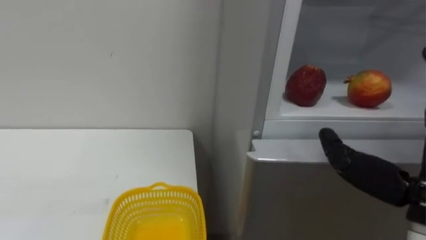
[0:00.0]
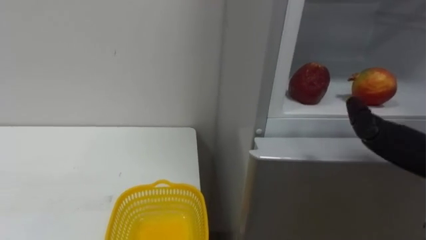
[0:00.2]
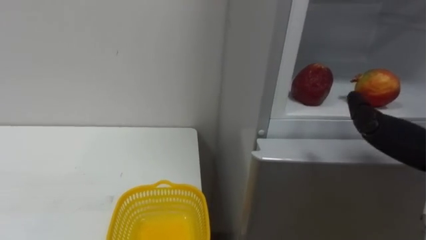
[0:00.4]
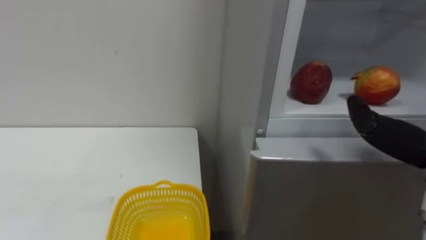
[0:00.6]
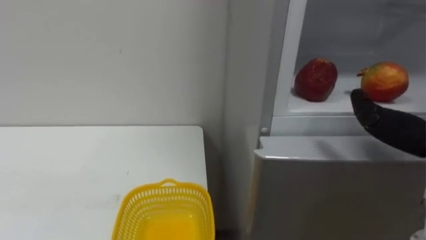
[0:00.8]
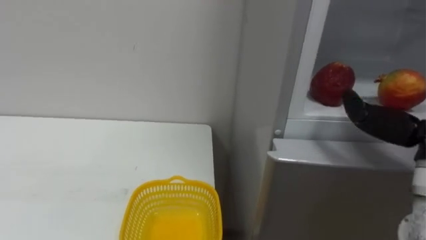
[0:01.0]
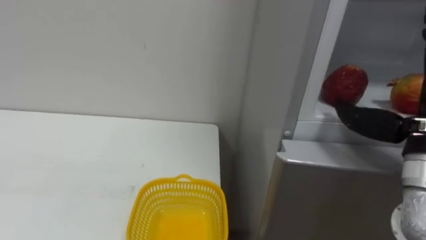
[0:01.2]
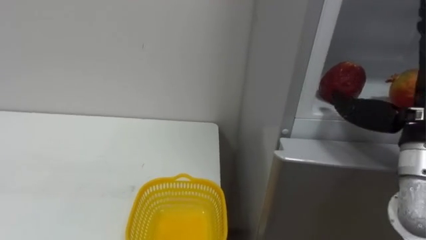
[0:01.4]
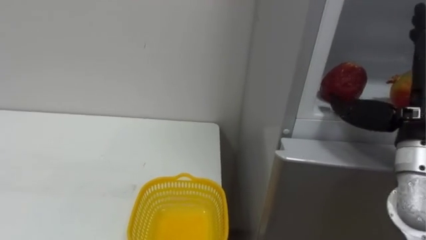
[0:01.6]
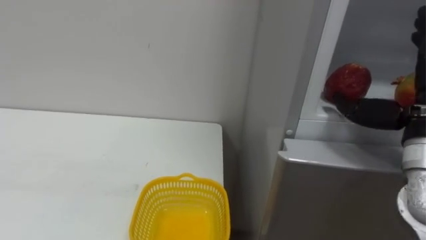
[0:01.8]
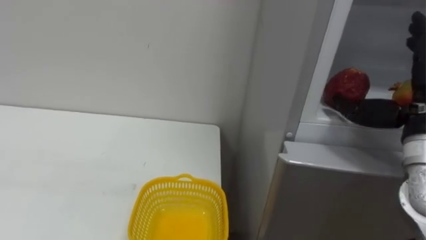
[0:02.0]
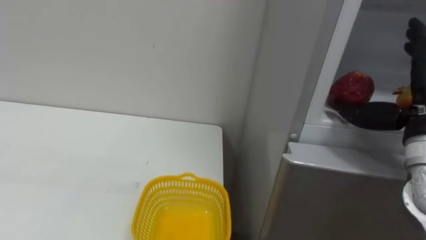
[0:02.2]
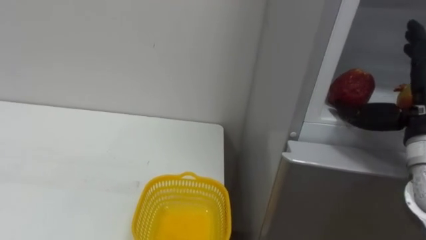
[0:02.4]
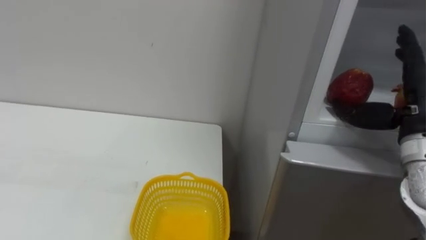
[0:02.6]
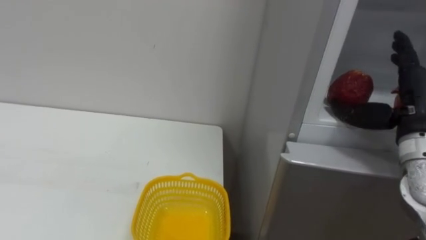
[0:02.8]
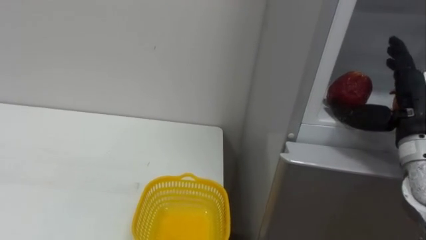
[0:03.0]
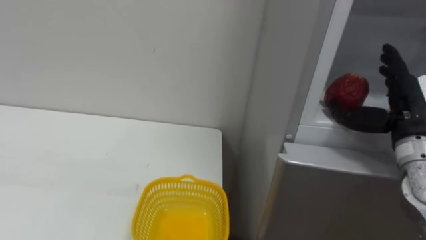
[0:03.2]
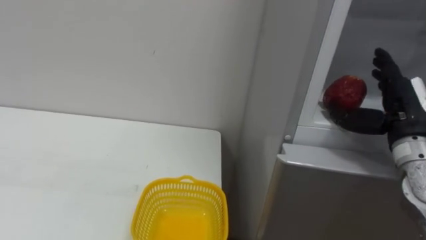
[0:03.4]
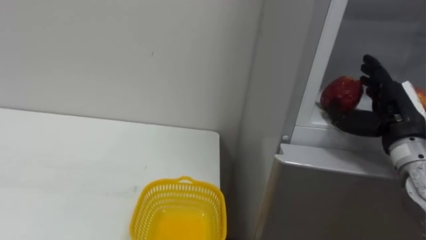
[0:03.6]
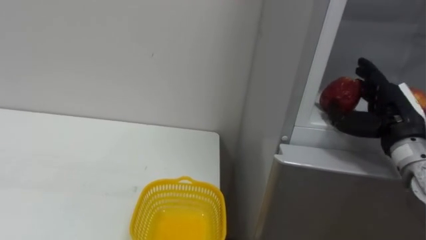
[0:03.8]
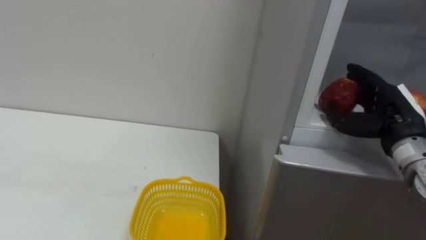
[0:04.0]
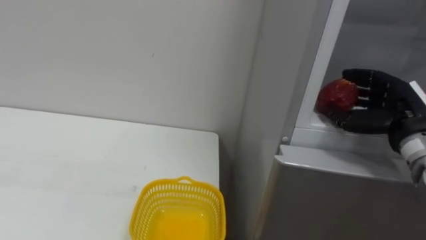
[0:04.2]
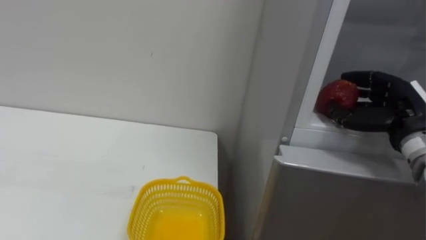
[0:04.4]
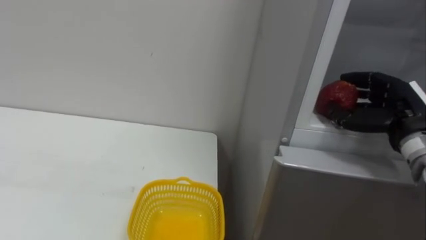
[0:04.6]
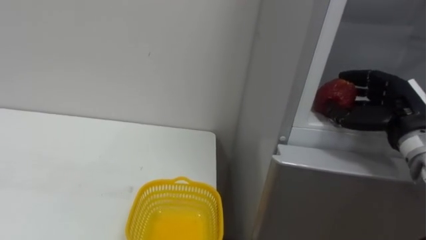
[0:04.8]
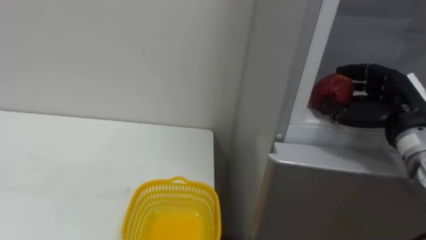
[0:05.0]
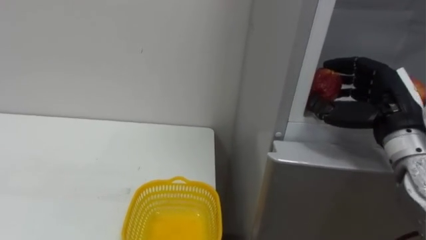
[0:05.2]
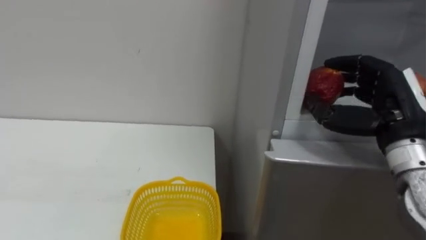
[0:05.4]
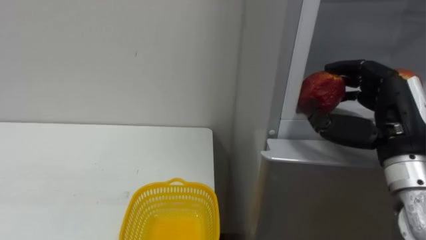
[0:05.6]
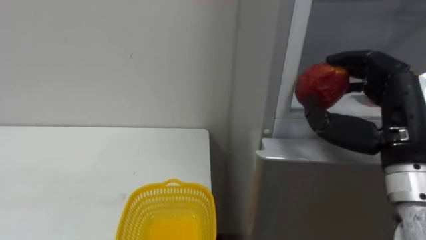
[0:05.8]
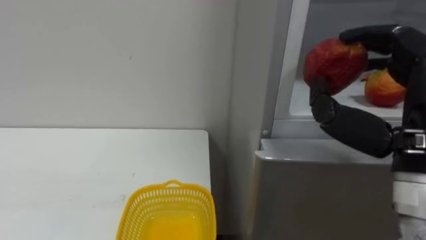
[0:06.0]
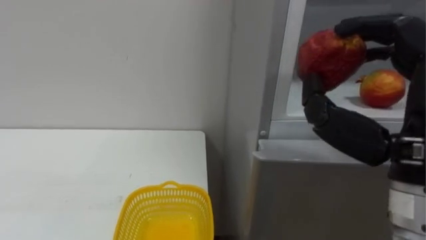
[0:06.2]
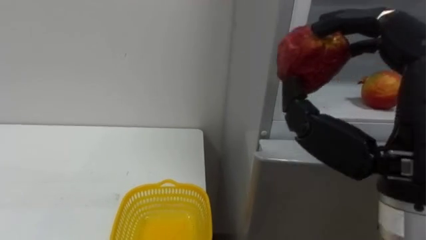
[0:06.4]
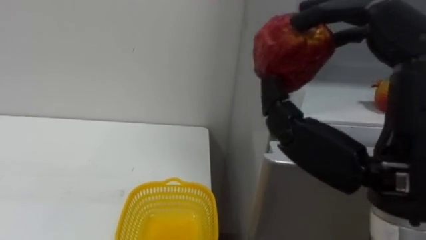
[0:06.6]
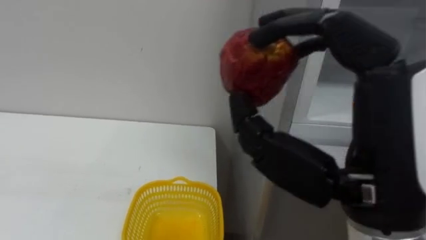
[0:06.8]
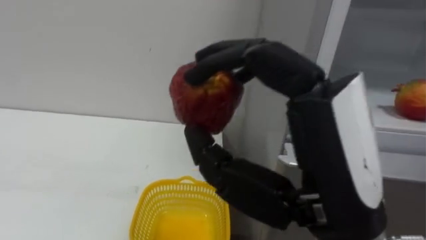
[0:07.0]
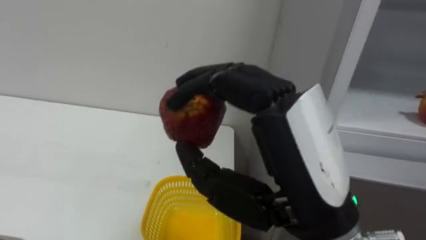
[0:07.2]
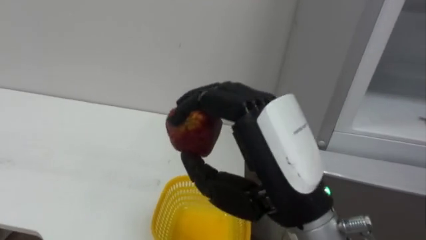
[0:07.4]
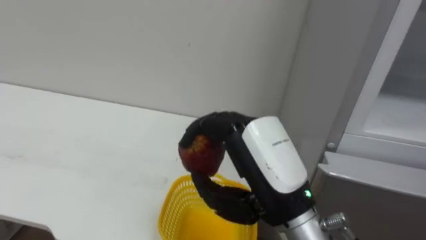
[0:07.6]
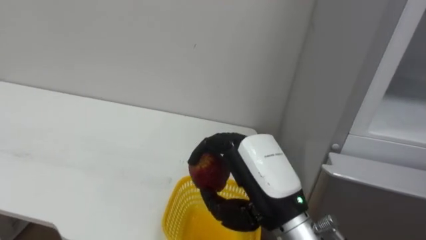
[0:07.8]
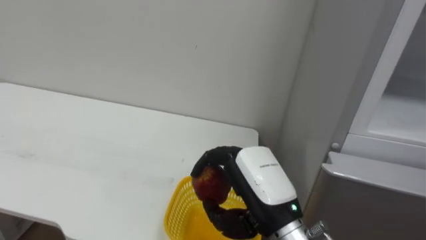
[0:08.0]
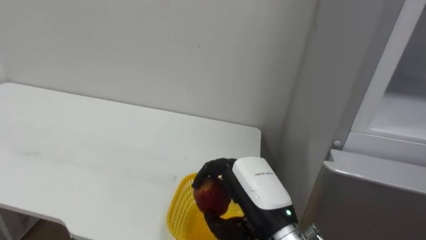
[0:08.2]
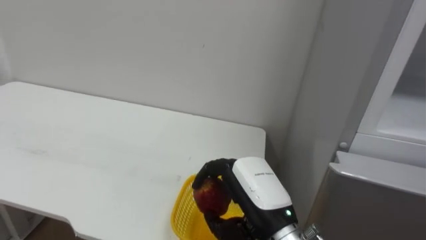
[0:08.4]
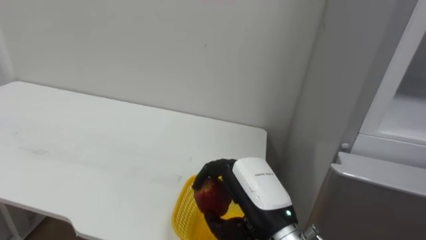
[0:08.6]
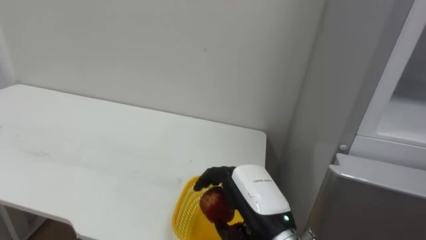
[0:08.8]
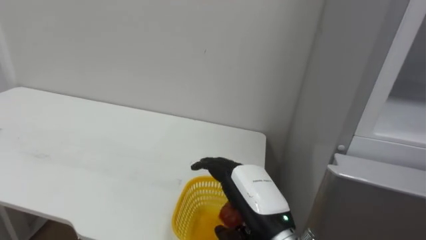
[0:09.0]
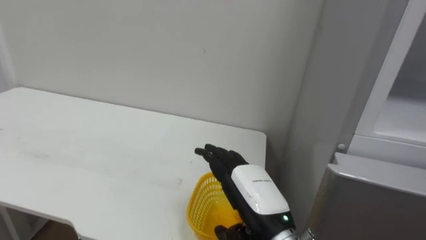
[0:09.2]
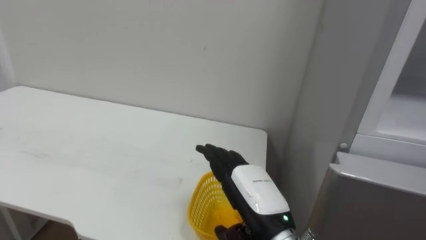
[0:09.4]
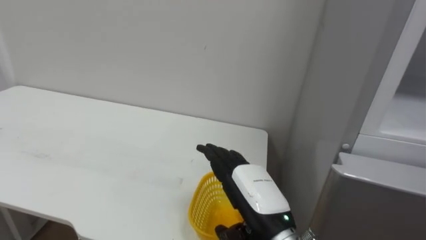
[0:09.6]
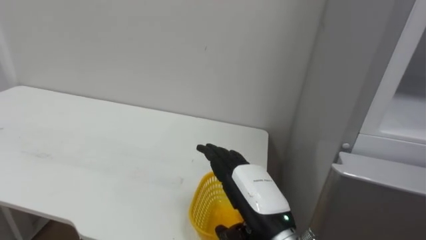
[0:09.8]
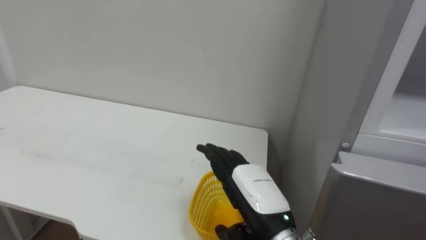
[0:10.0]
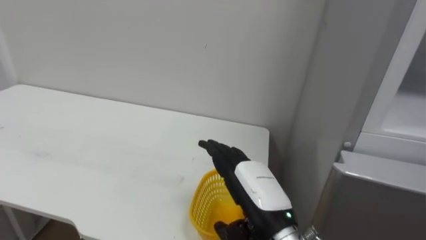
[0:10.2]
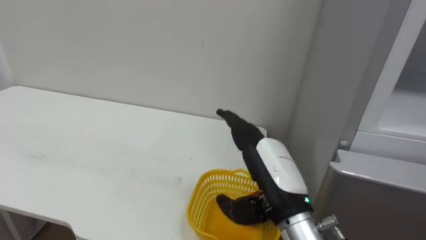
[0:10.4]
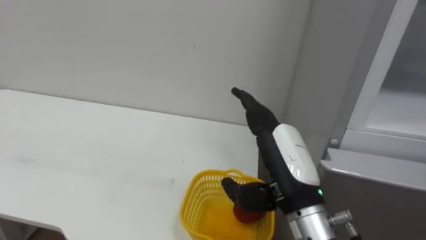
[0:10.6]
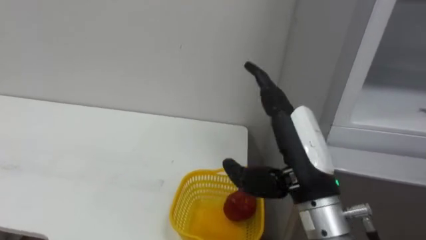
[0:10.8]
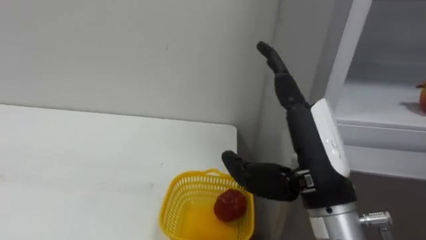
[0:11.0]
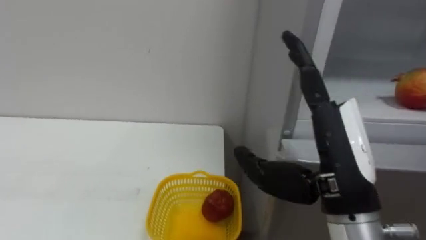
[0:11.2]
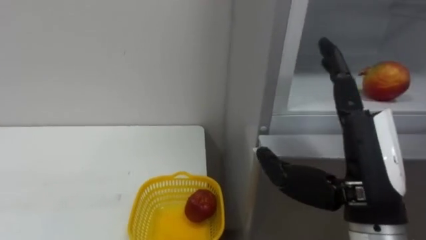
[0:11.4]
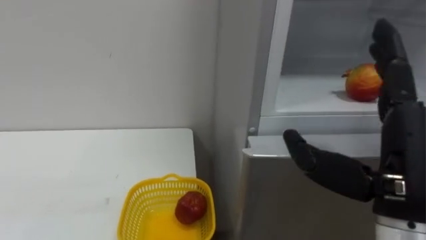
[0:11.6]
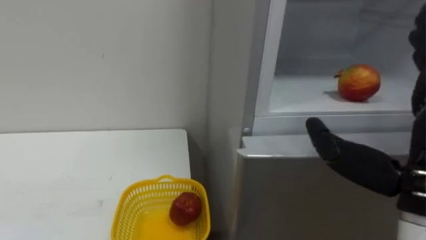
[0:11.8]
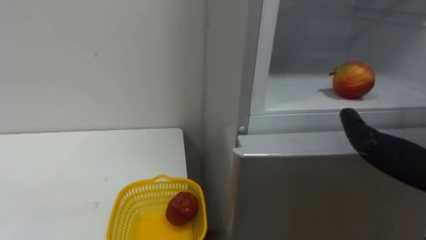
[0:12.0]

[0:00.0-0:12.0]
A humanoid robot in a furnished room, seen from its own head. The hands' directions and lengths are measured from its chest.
Task of the whole recording: Open the refrigerator door, take out the apple and the pomegranate, place them in the fruit basket on the left, and close the refrigerator door.
0:01.6 to 0:03.0: The right hand ends up some 5 cm from where it was.
0:03.0 to 0:04.4: The right hand closes its fingers.
0:04.4 to 0:06.0: The right hand goes some 15 cm backward, upward and to the left.
0:06.0 to 0:07.6: The right hand heads to the left, covering about 15 cm.
0:07.6 to 0:09.0: The right hand goes approximately 10 cm downward, and opens up.

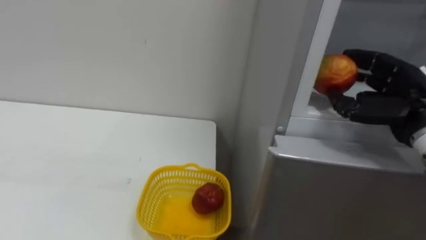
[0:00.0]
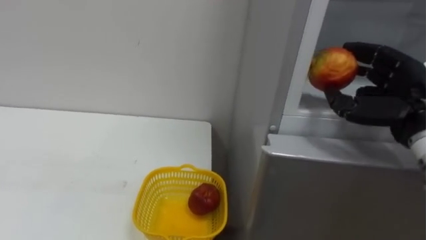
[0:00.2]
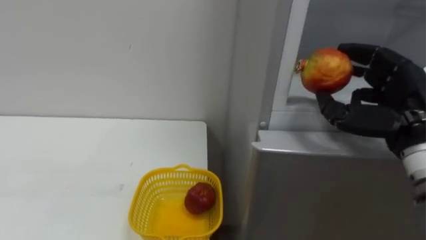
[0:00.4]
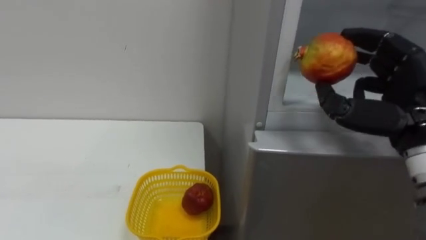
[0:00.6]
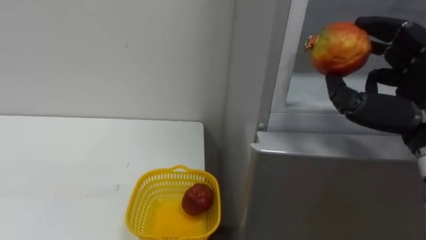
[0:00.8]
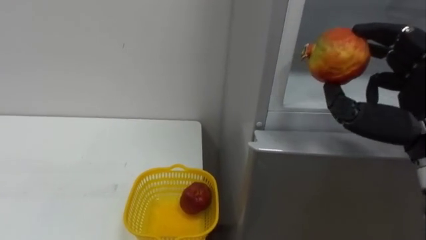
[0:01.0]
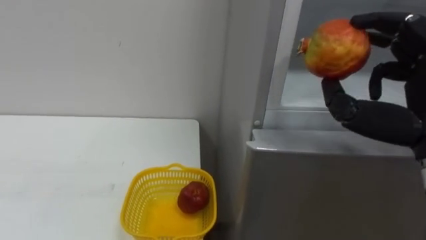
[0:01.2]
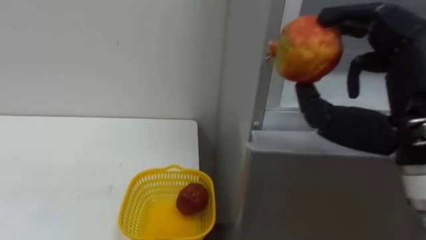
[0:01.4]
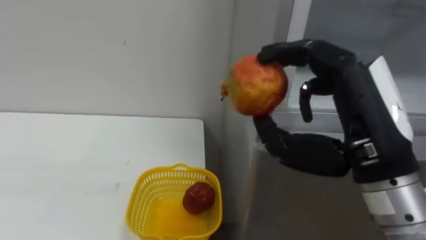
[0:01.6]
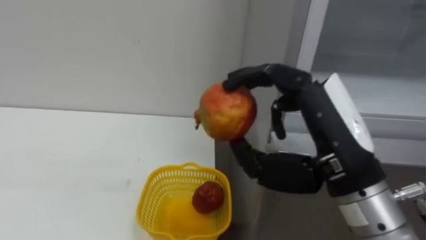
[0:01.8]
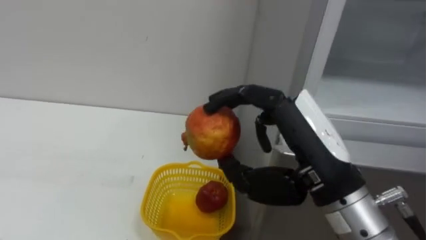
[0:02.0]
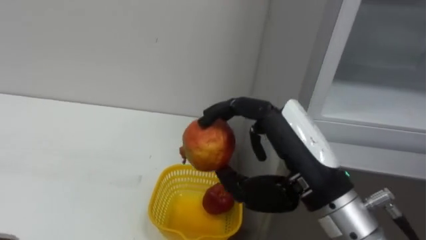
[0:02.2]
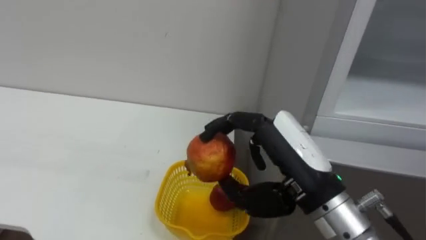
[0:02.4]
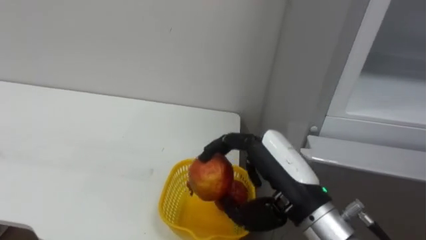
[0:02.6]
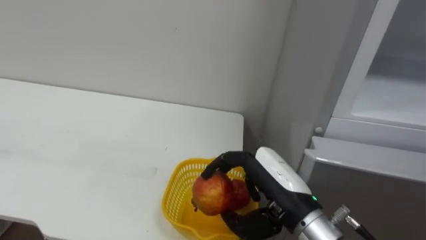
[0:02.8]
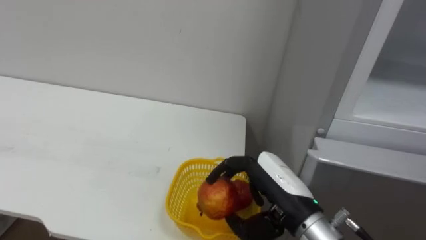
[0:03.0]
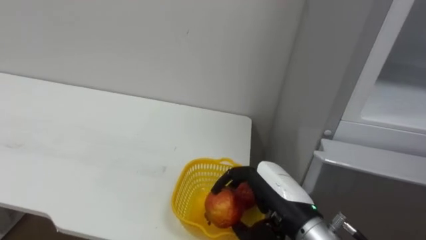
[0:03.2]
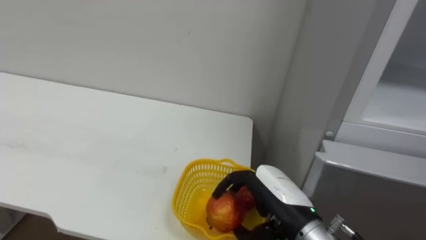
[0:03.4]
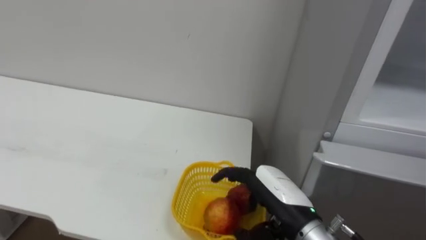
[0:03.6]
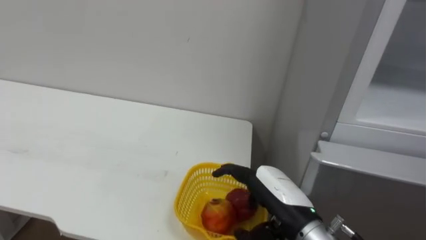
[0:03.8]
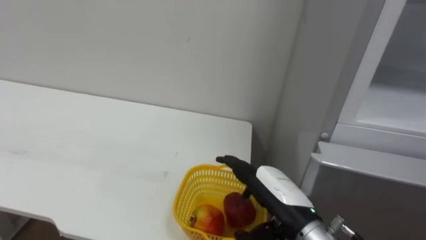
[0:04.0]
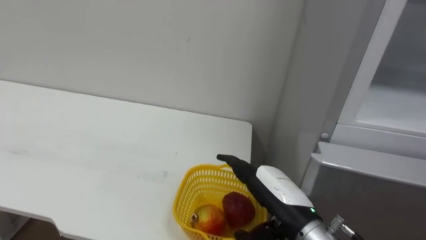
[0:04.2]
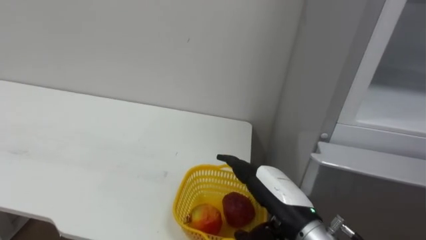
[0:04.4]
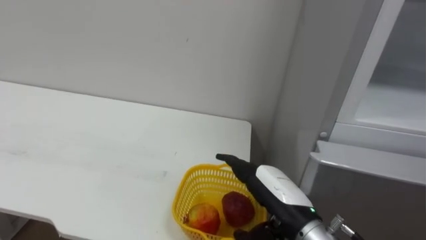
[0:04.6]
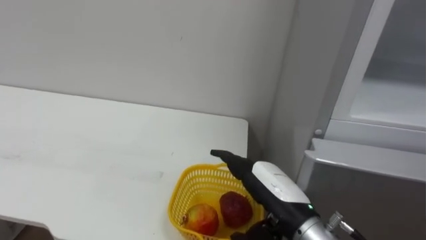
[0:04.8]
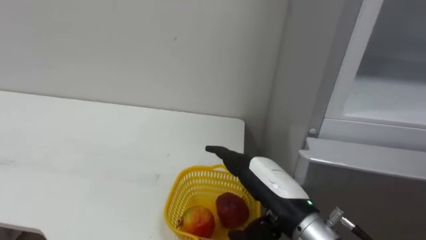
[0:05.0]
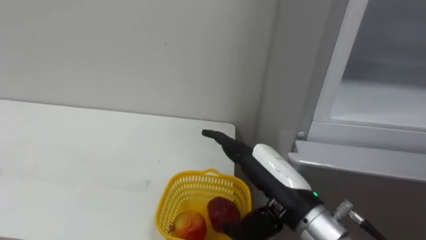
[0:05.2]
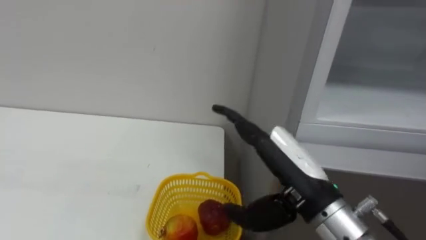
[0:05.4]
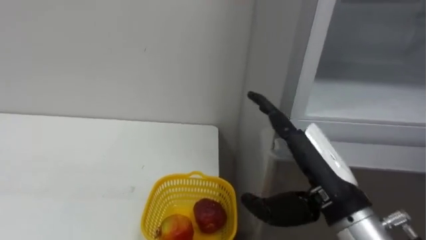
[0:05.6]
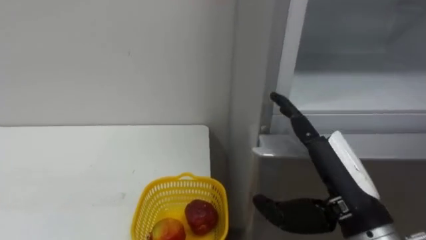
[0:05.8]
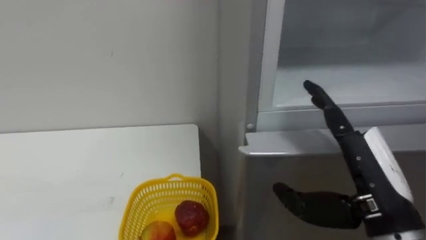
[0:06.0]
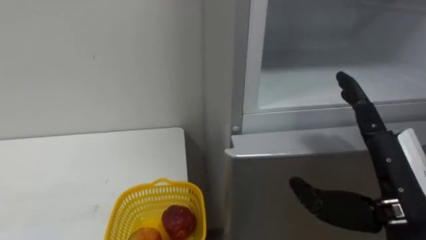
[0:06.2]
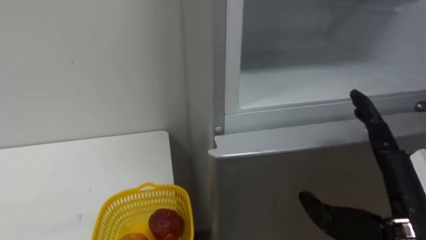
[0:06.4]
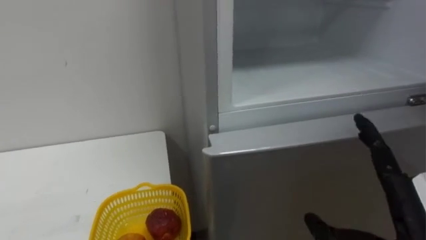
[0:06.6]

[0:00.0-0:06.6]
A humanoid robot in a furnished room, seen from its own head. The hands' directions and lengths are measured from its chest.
Task of the whole recording: Open the refrigerator door, take out the apple and the pomegranate, place them in the fruit basket on the left, and close the refrigerator door.
0:01.6 to 0:03.2: The right hand is displaced downward by some 15 cm.
0:03.2 to 0:05.0: The right hand opens up.
0:05.0 to 0:06.6: The right hand goes some 15 cm to the right and backward.
